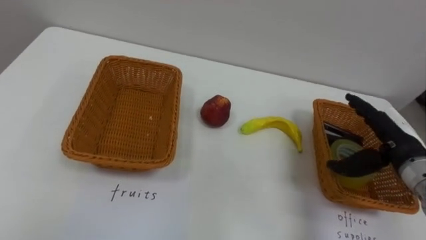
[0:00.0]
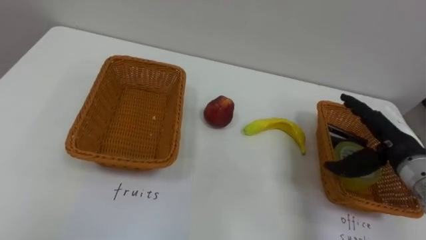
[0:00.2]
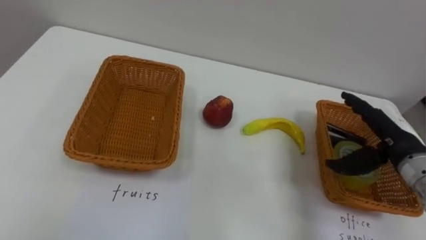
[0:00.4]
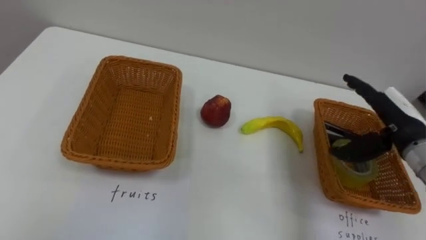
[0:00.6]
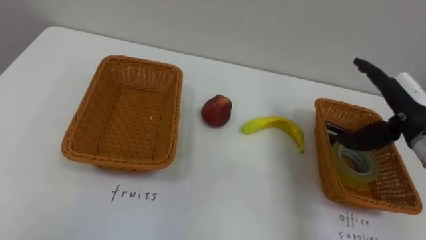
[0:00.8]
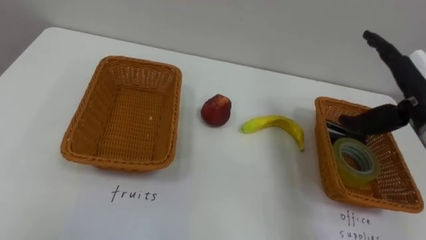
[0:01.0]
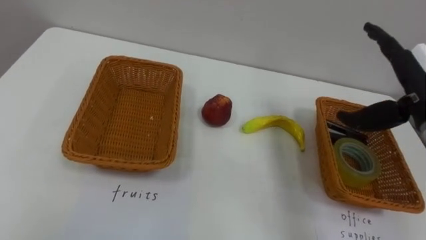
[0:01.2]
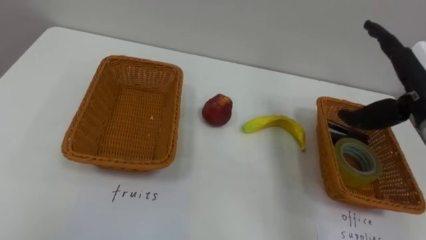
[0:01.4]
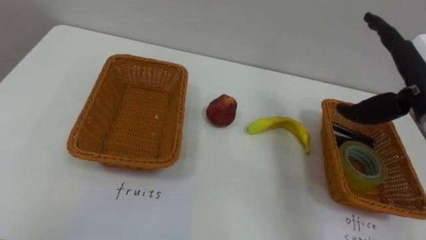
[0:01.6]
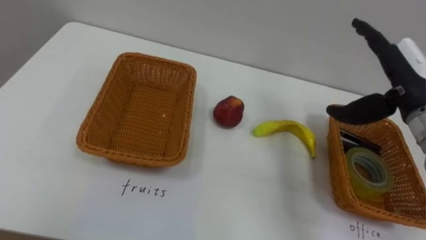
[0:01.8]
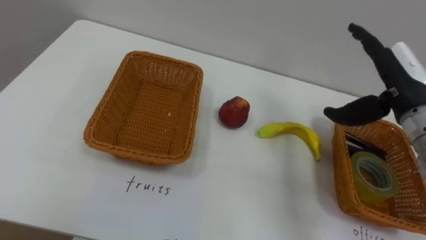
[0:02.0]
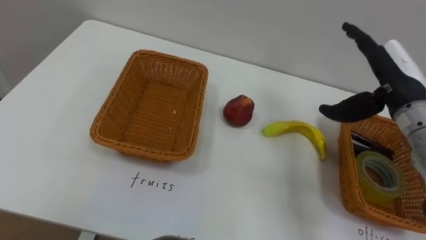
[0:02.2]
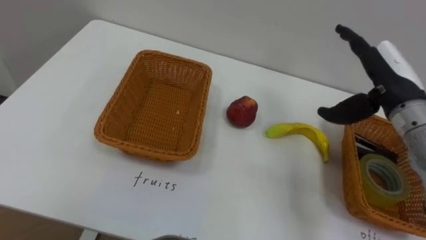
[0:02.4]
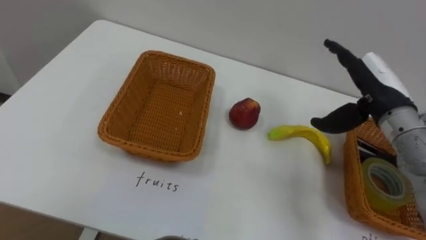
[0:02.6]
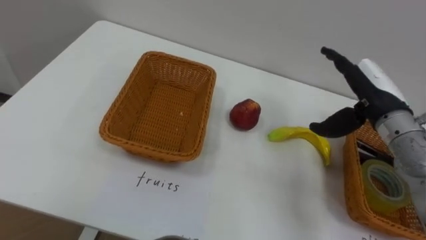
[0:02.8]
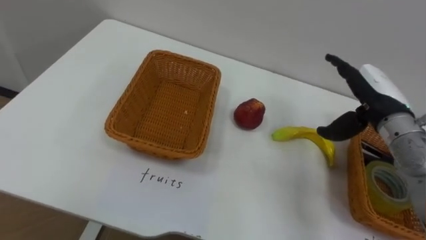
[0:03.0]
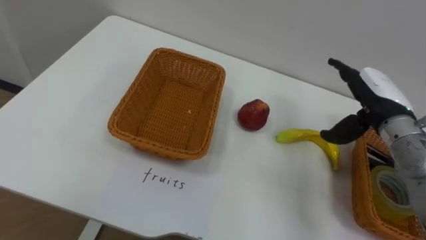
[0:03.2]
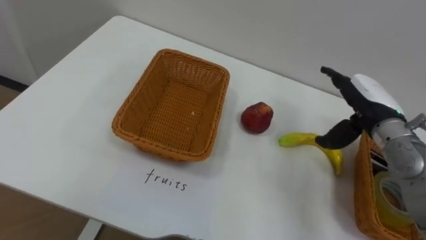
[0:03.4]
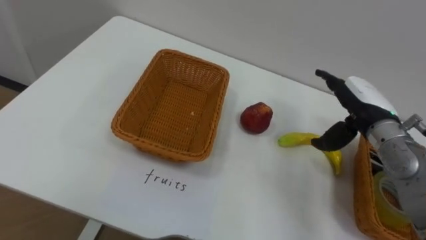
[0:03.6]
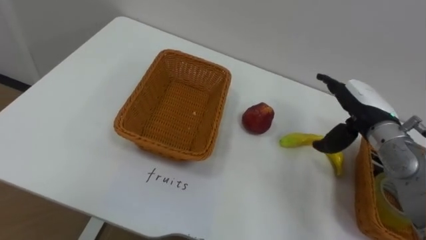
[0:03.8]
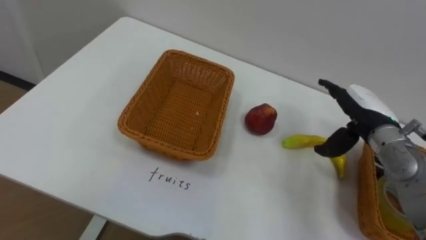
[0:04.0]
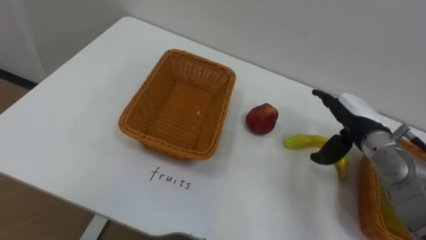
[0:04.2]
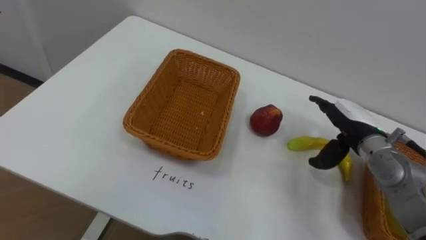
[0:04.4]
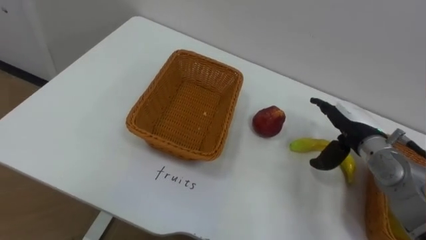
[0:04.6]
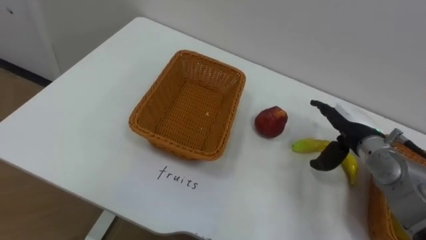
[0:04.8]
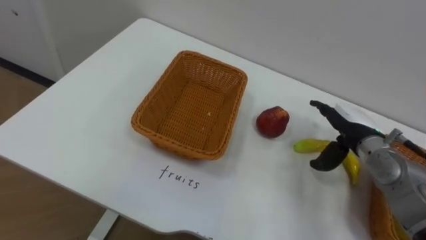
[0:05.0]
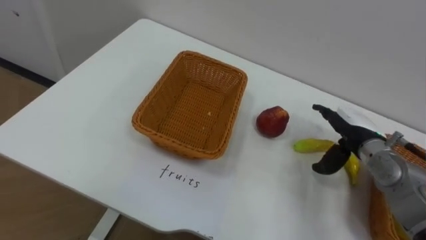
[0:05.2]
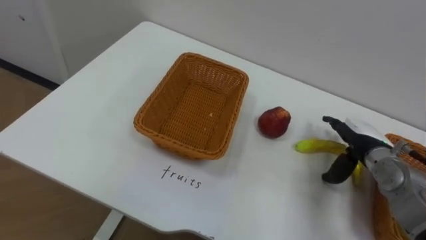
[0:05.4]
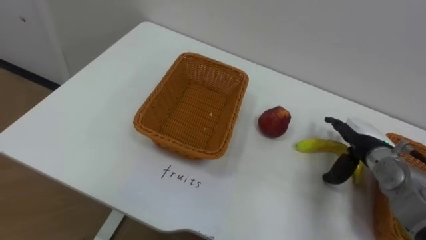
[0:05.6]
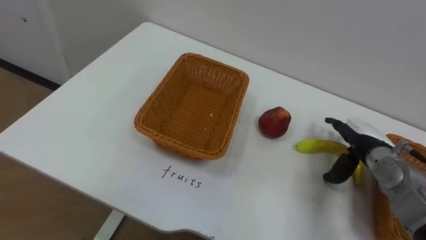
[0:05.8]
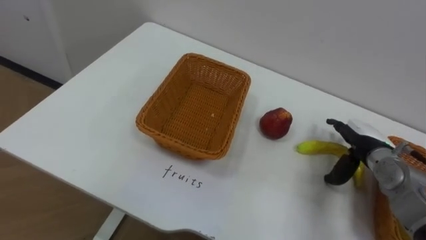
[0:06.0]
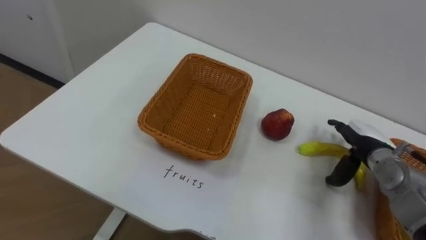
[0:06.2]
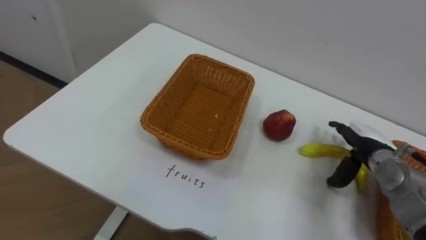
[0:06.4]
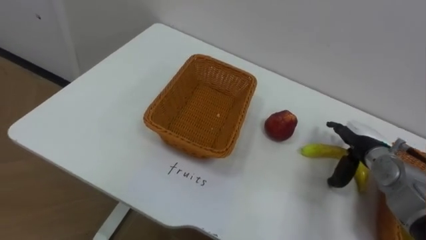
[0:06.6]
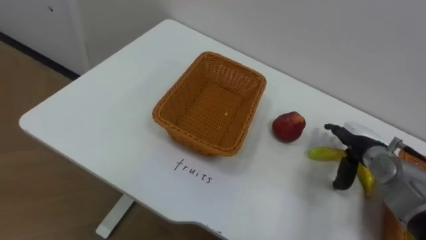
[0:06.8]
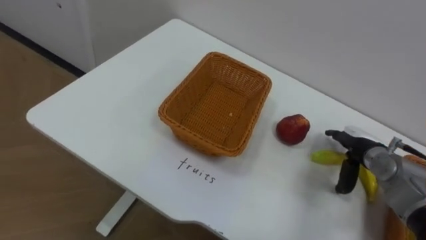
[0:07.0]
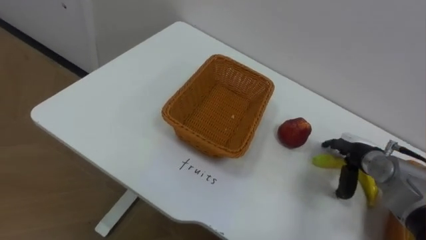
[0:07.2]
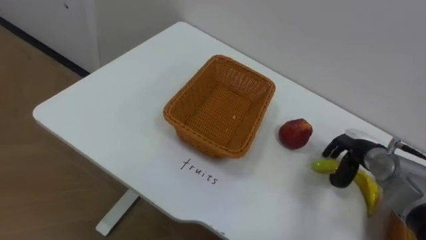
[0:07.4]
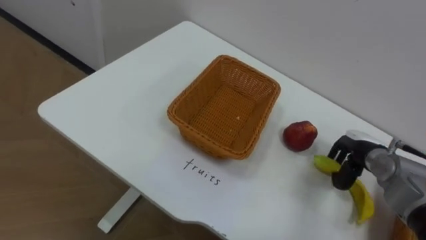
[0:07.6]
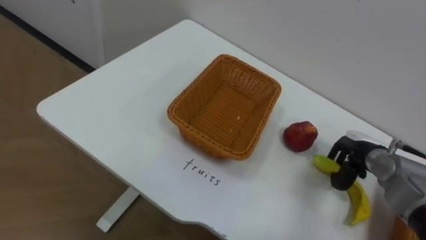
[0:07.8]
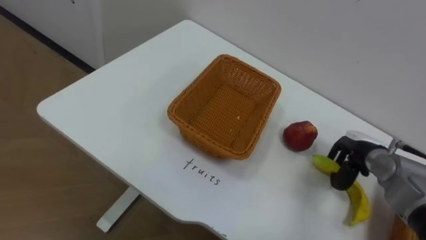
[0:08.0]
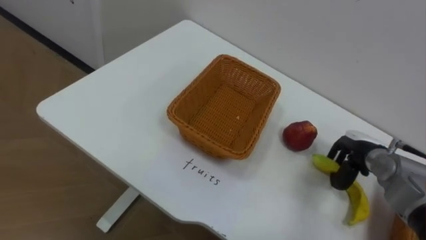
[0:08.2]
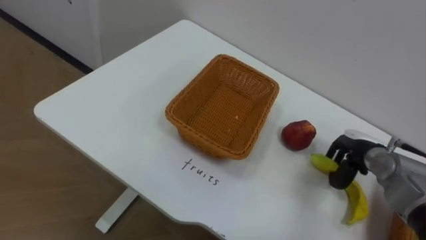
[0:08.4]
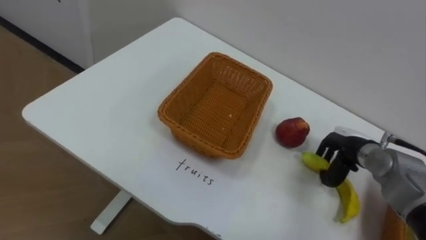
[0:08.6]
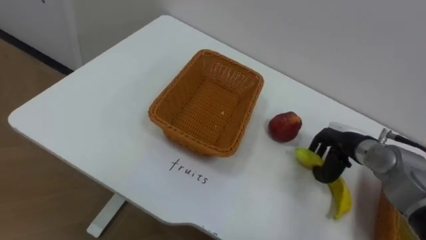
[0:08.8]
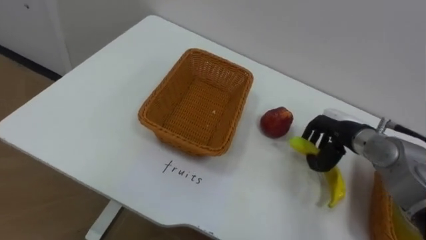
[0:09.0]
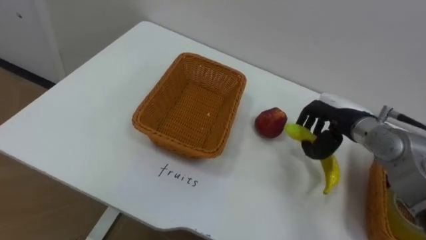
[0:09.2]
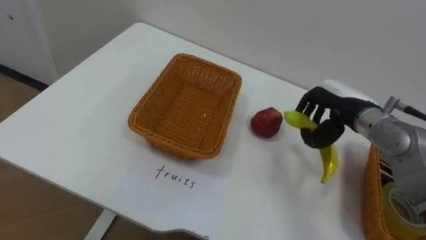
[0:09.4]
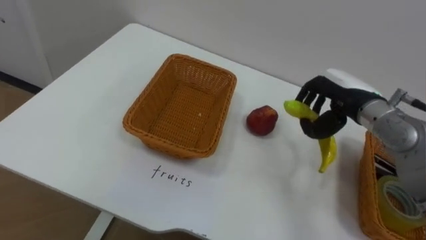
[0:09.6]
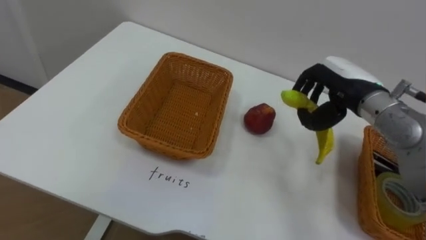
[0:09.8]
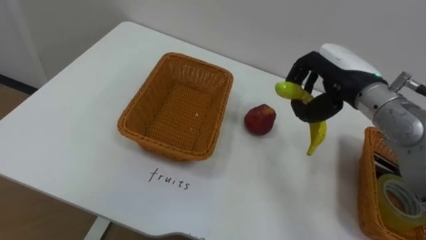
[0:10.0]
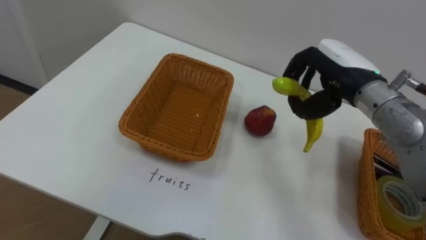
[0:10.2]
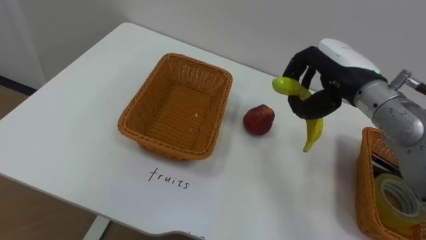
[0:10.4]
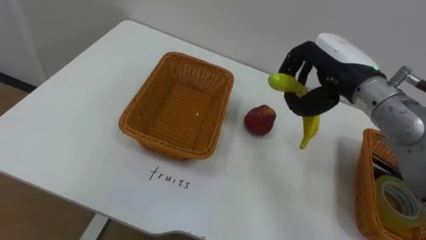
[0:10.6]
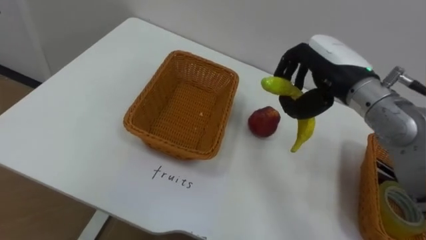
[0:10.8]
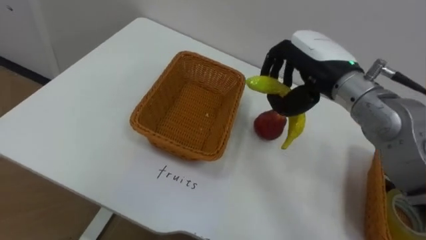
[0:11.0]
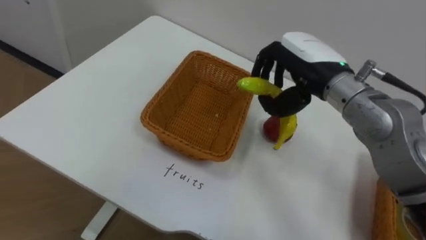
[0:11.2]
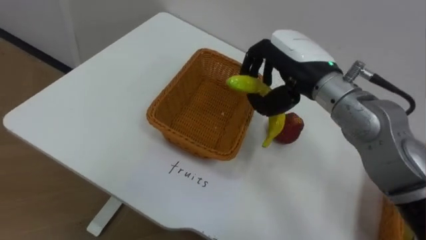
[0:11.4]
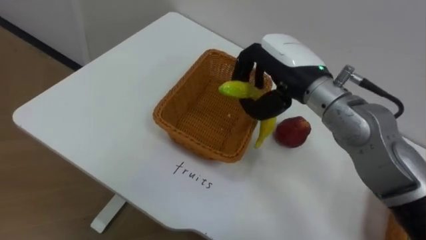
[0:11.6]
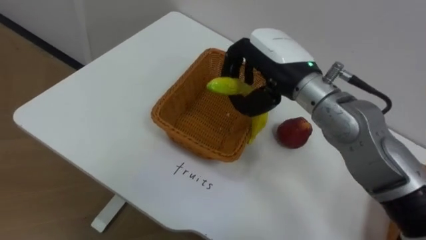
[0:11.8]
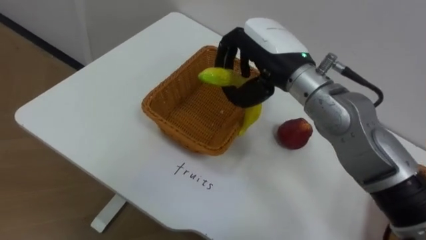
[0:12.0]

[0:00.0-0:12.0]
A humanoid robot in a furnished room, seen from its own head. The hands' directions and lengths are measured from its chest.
Task of the whole recording: Separate the items on the table and place them into the two baskets.
0:00.0 to 0:01.6: The right hand moves upward, about 10 cm.
0:01.6 to 0:03.0: The right hand shifts about 5 cm downward.
0:03.0 to 0:04.4: The right hand heads downward, covering roughly 5 cm.
0:04.4 to 0:06.0: The right hand moves approximately 5 cm.
0:06.0 to 0:07.6: The right hand closes up.
0:07.6 to 0:09.0: The right hand shifts by approximately 5 cm.
0:09.0 to 0:10.4: The right hand heads upward, covering approximately 15 cm.
0:10.4 to 0:12.0: The right hand is displaced to the left by roughly 10 cm.

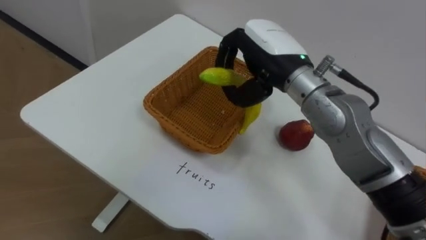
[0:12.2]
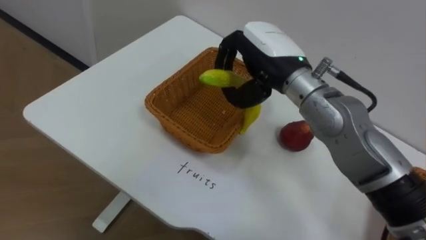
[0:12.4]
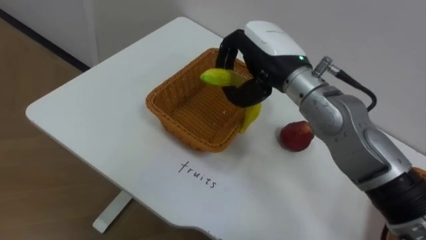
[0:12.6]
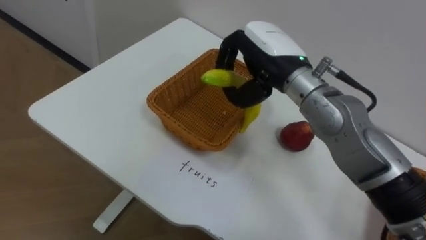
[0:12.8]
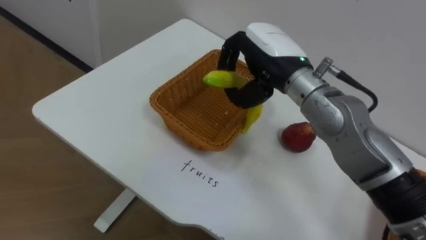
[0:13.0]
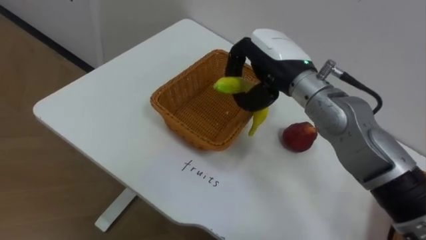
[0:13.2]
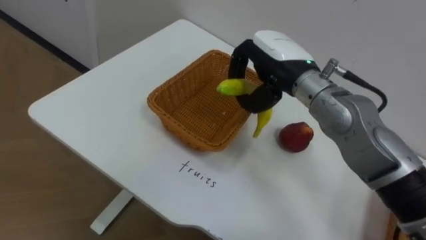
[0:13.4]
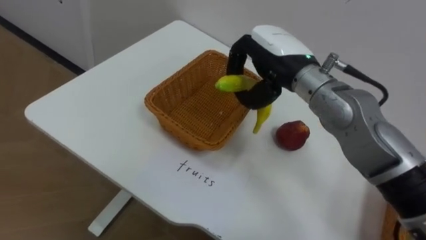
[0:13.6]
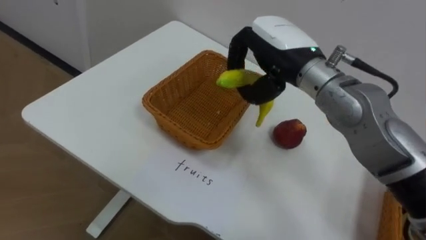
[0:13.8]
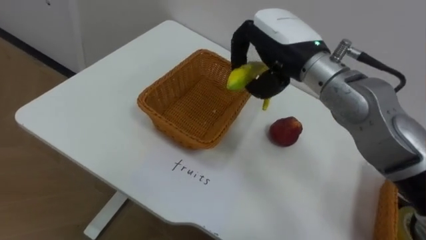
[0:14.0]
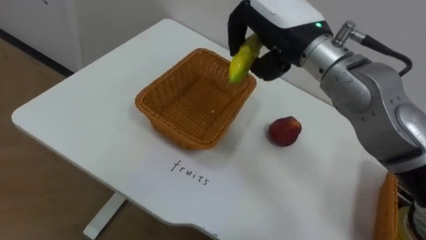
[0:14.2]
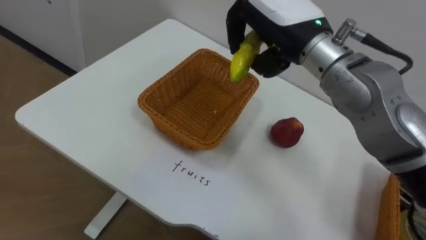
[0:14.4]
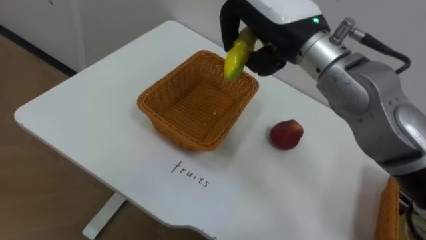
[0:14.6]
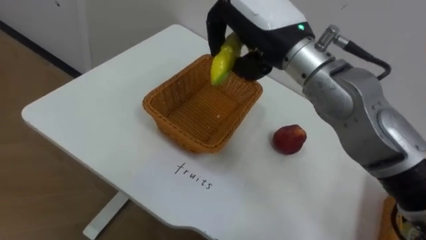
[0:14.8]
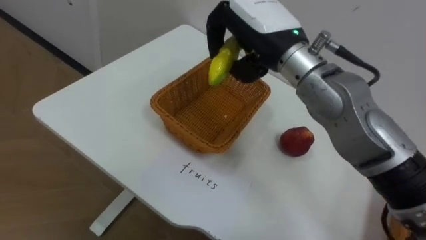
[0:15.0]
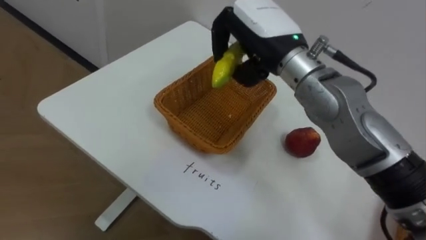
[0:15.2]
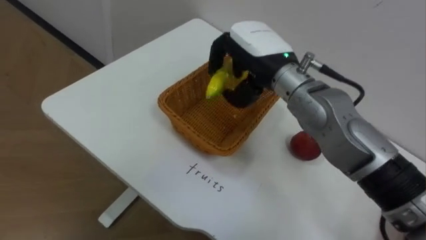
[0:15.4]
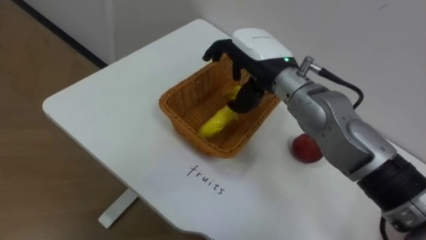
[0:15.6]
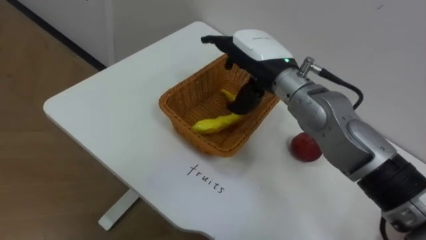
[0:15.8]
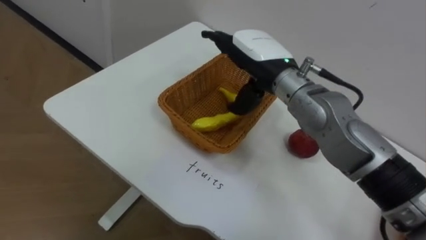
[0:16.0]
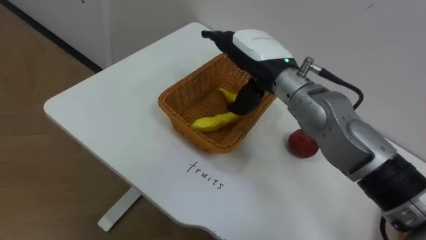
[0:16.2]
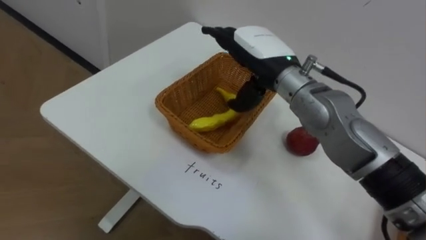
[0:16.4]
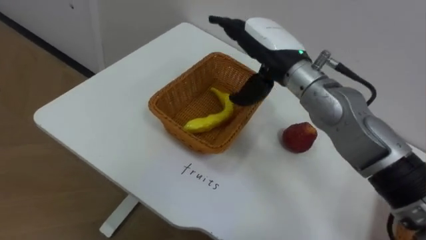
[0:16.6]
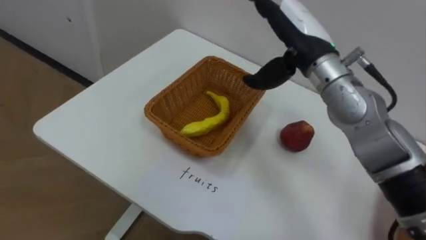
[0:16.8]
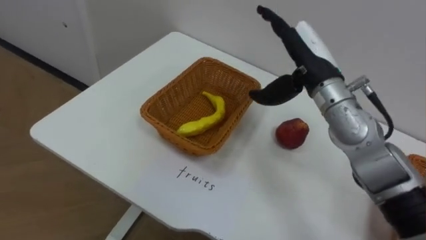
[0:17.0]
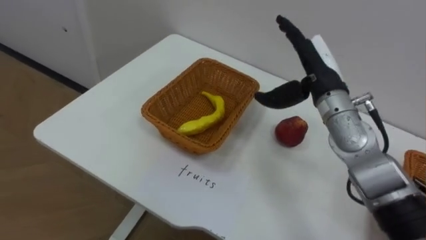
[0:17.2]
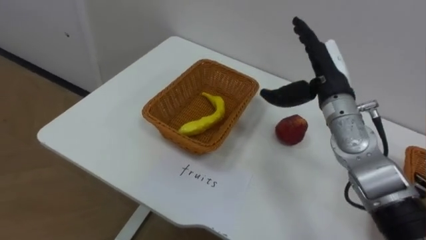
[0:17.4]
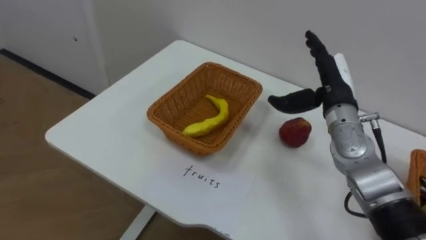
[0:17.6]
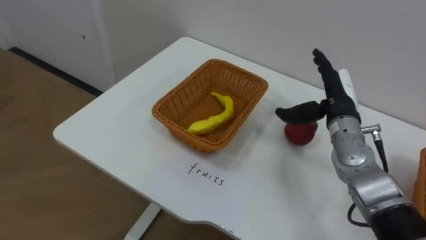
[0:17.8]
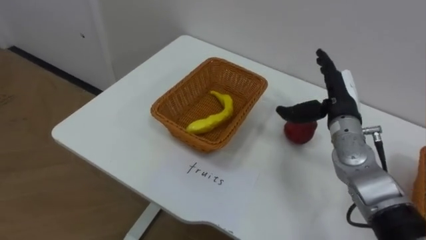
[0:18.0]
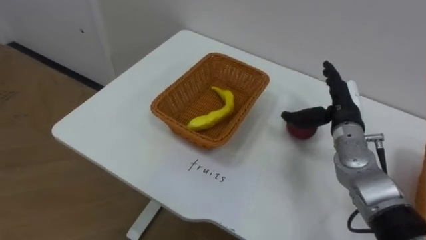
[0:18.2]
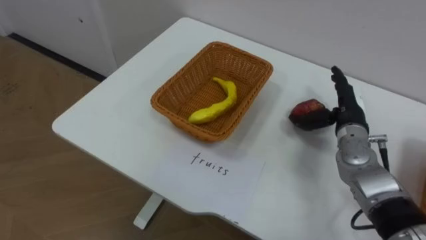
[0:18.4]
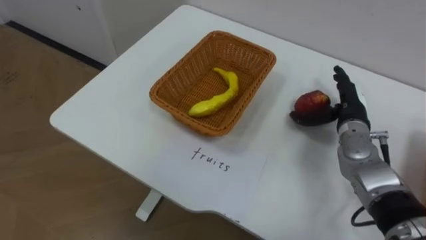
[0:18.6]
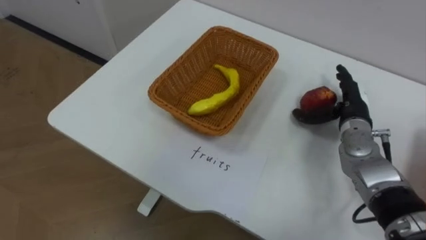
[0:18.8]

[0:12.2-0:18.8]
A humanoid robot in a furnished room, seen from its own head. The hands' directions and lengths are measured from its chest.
Task of the whole recording: Separate the items on the table and place them into the two baskets.
0:15.4 to 0:17.2: The right hand is displaced to the right by approximately 10 cm, and opens up.
0:17.2 to 0:18.8: The right hand moves downward and to the right, some 15 cm.
